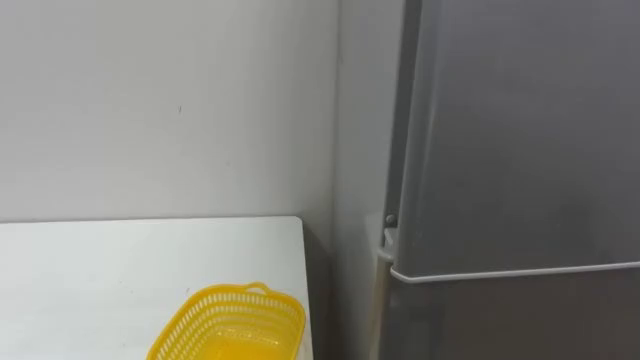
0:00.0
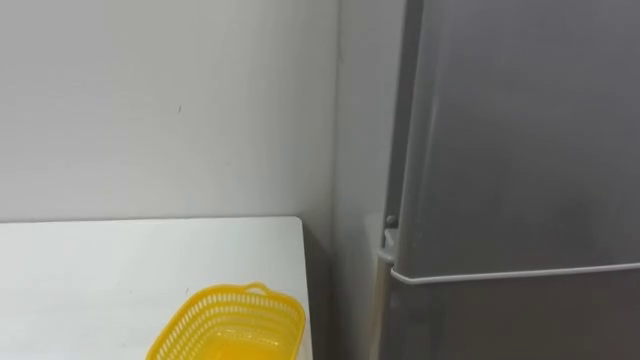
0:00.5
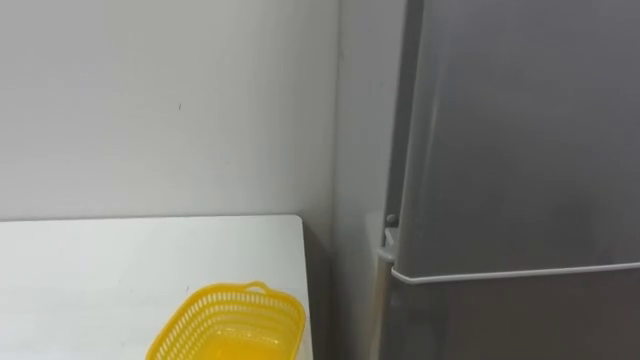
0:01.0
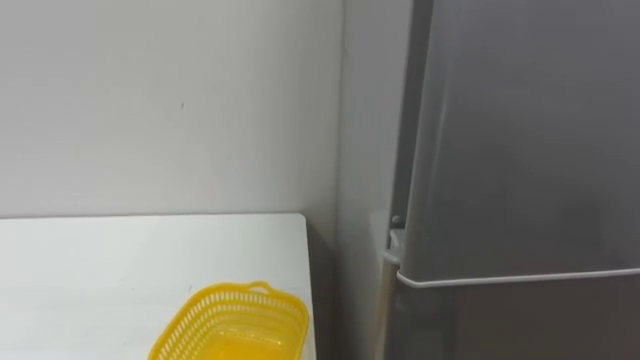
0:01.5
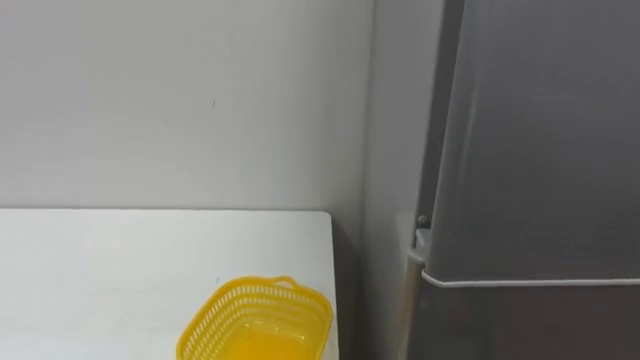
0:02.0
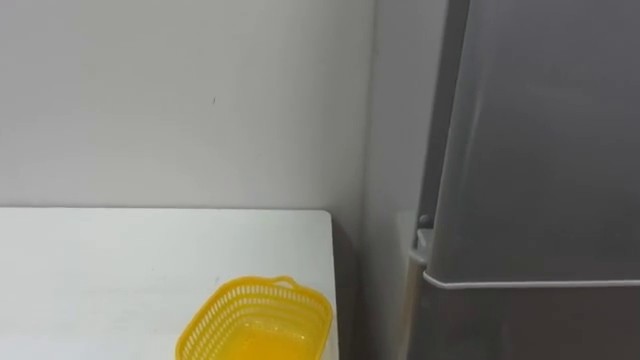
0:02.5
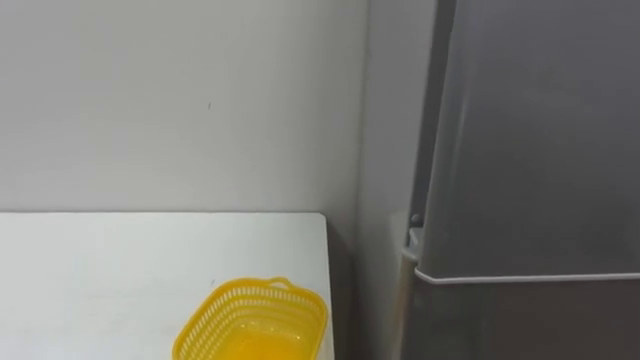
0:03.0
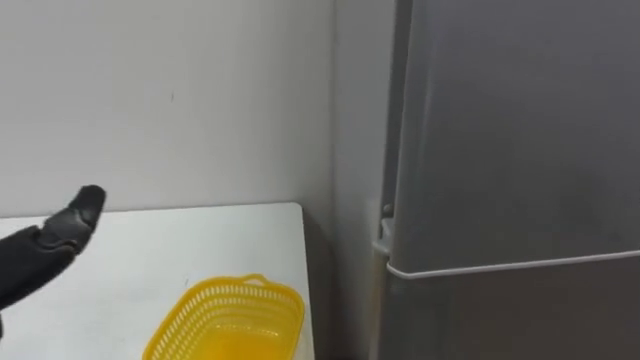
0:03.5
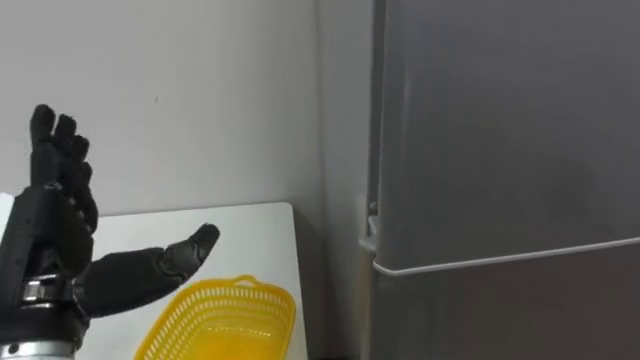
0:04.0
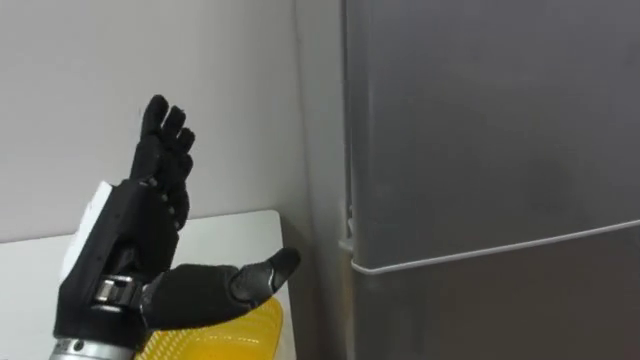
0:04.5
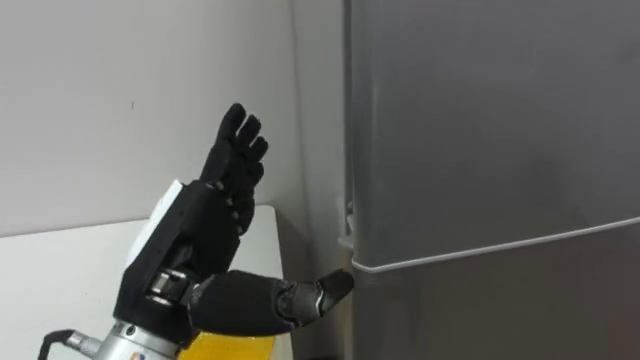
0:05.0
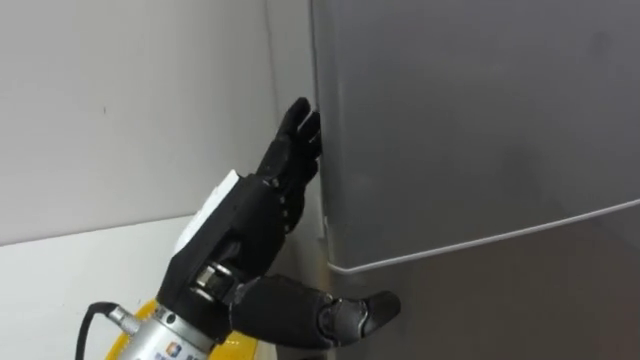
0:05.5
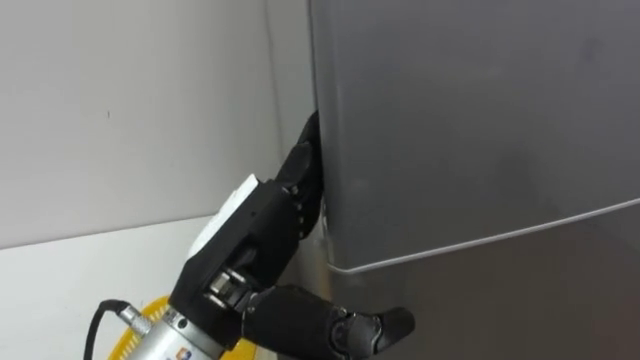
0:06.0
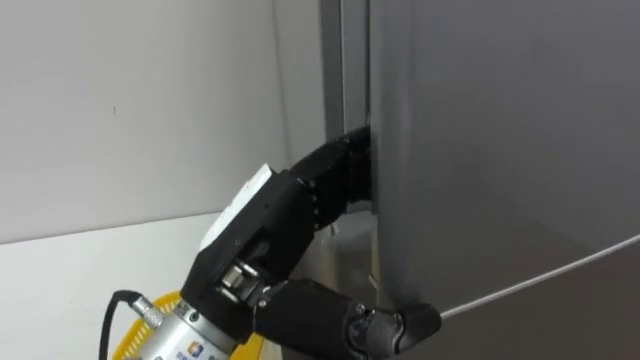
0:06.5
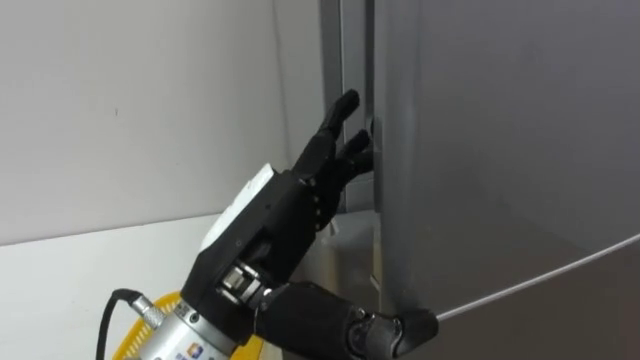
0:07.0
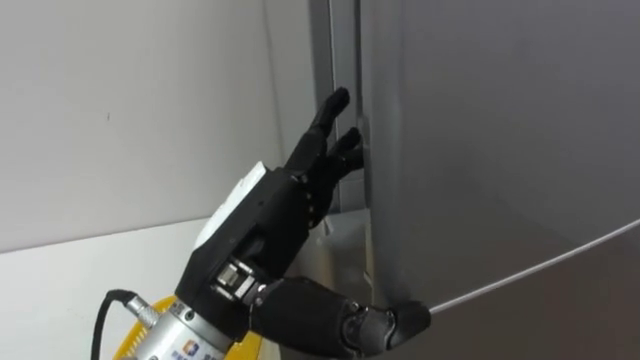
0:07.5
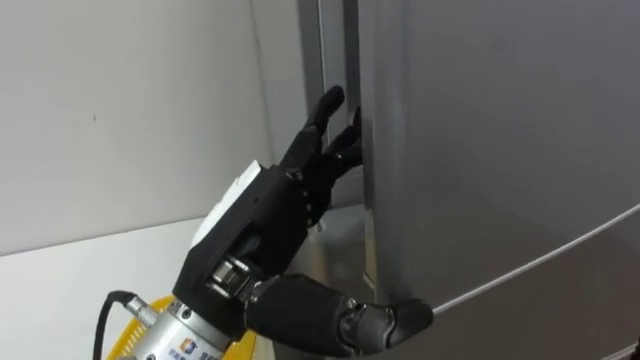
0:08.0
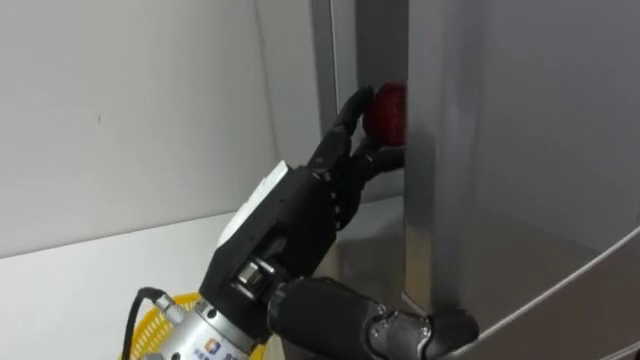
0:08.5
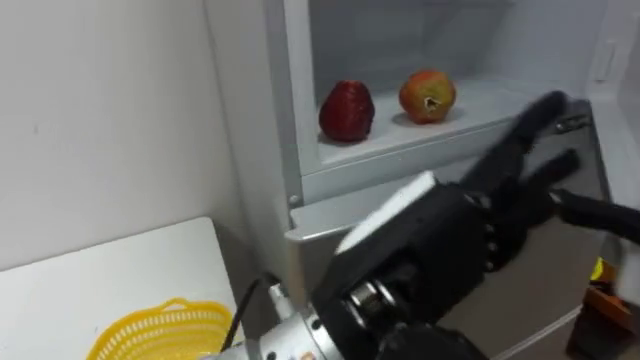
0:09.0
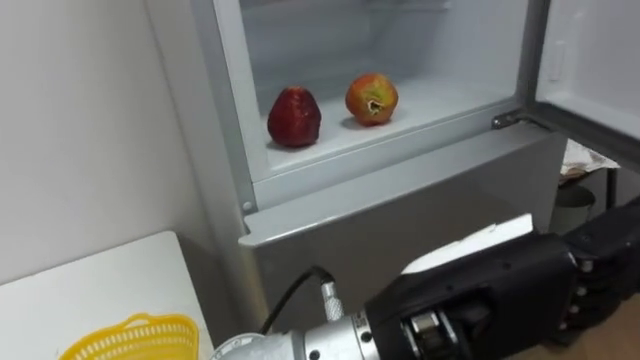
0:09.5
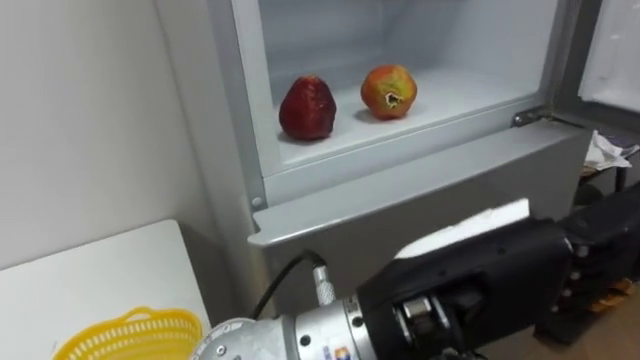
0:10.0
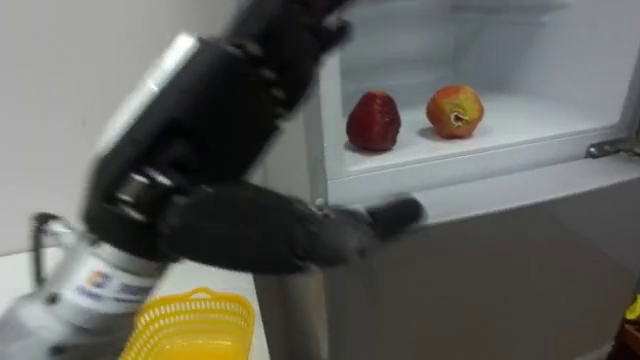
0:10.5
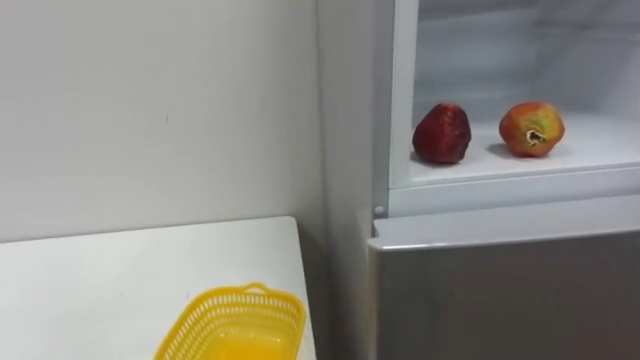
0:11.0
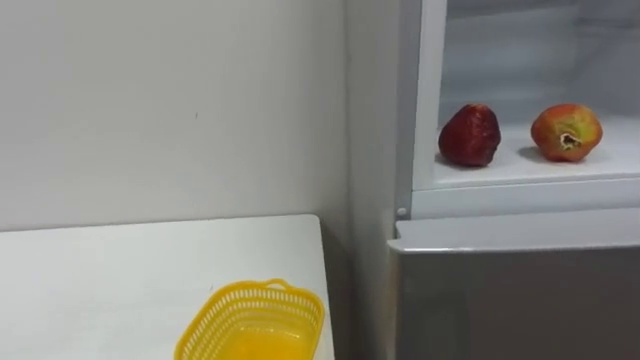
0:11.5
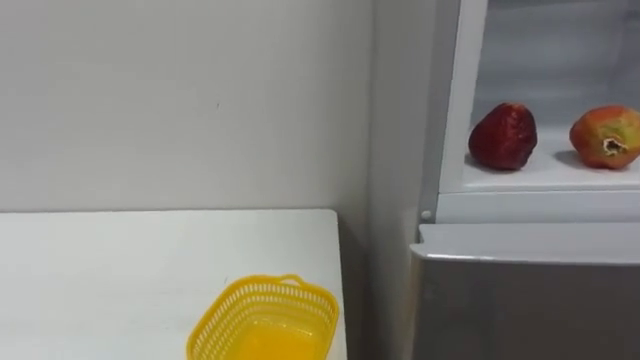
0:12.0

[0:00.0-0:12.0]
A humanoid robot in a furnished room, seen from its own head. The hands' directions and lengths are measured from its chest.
Task of the whole recording: Open the refrigerator door, take out the apple and the pomegranate, place them in the fruit basket on the left, and close the refrigerator door.
0:04.0 to 0:06.0: The left hand travels to the right by roughly 15 cm.
0:08.0 to 0:10.0: The left hand is displaced to the right and backward by some 15 cm.

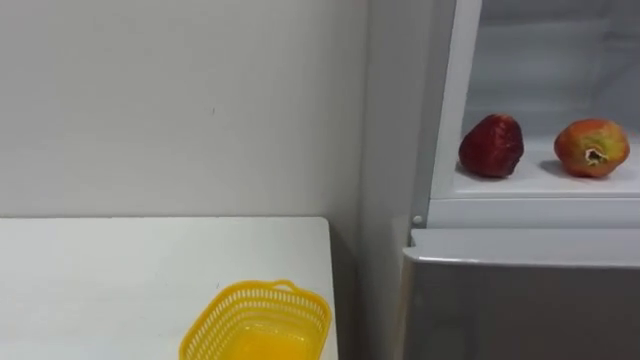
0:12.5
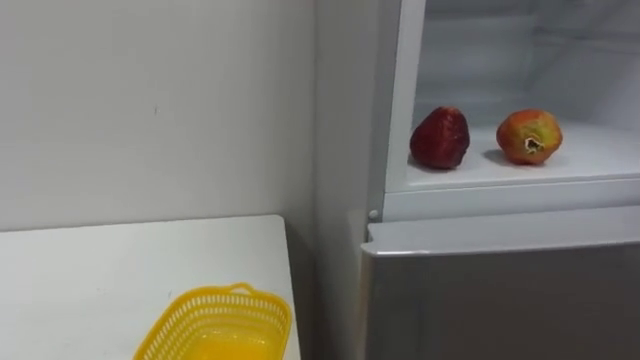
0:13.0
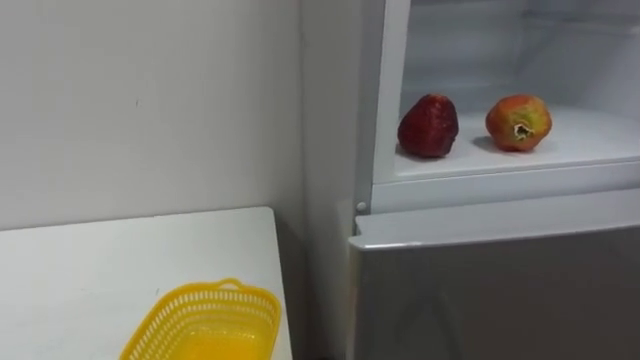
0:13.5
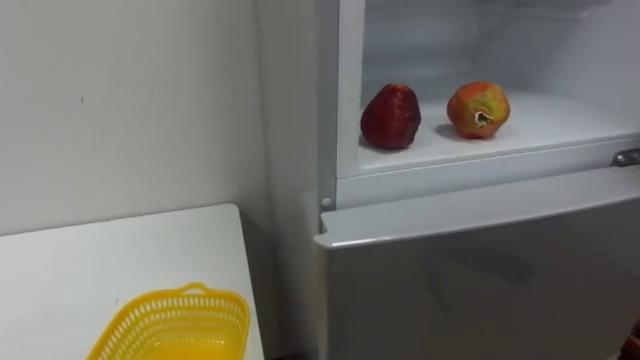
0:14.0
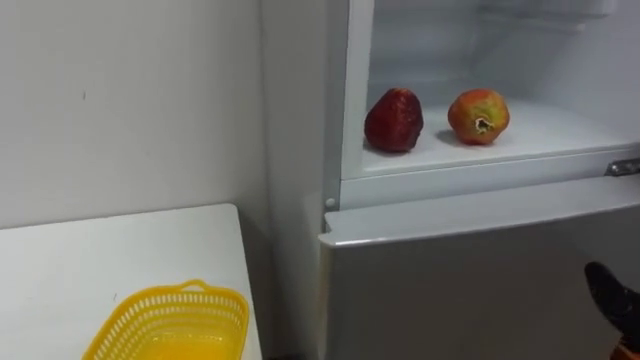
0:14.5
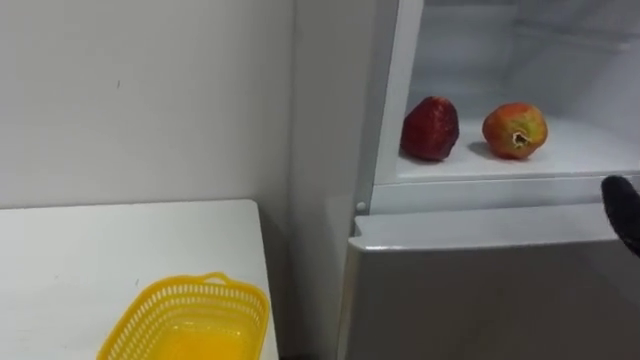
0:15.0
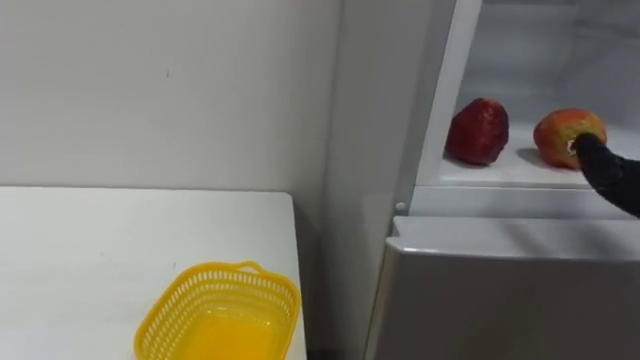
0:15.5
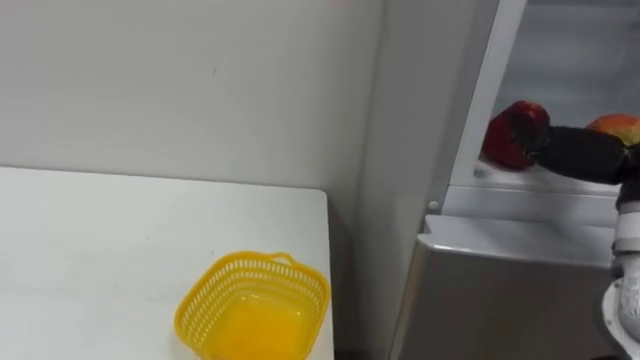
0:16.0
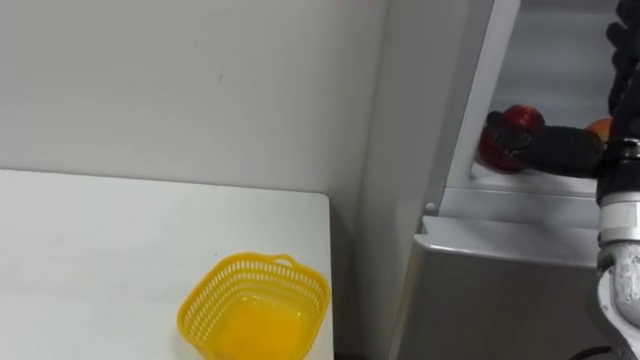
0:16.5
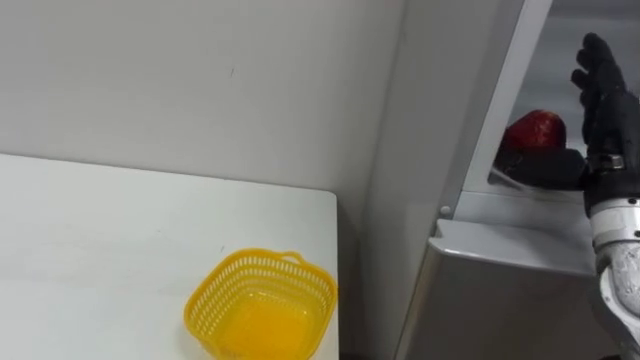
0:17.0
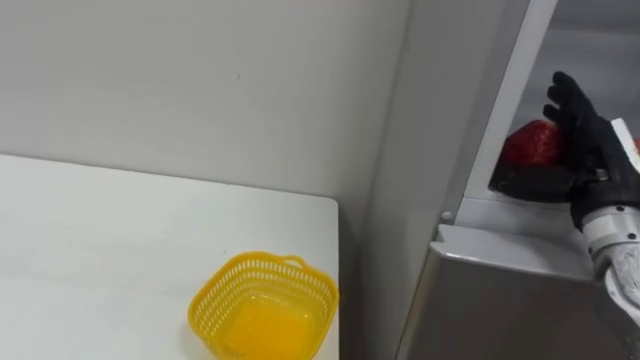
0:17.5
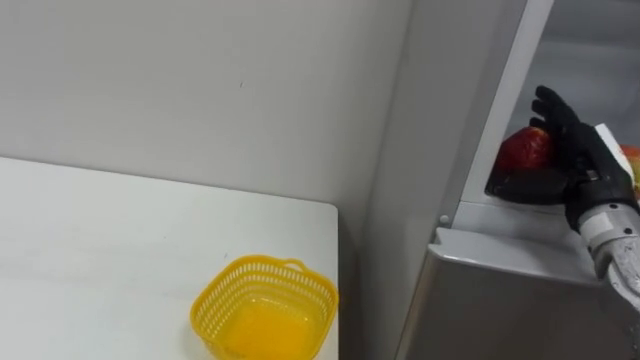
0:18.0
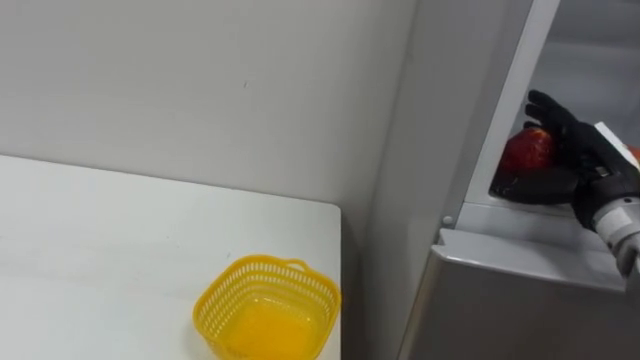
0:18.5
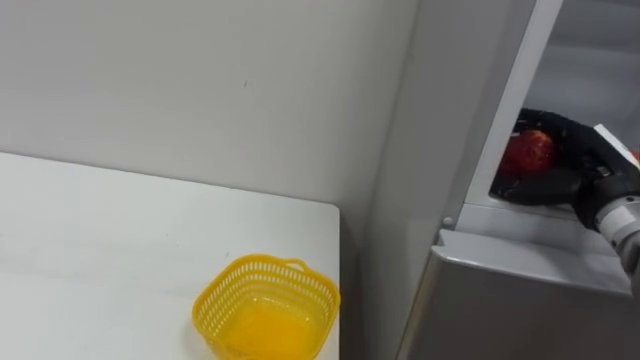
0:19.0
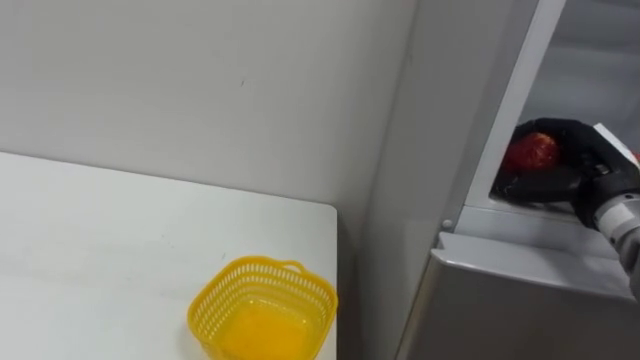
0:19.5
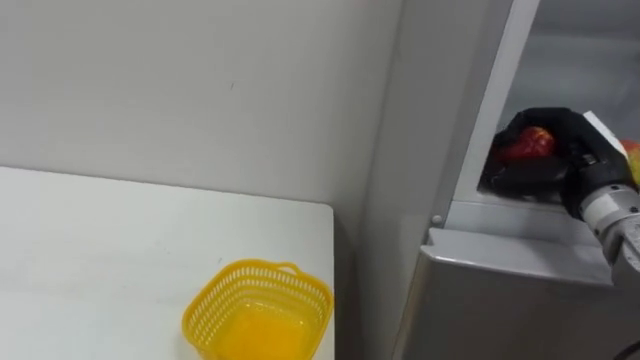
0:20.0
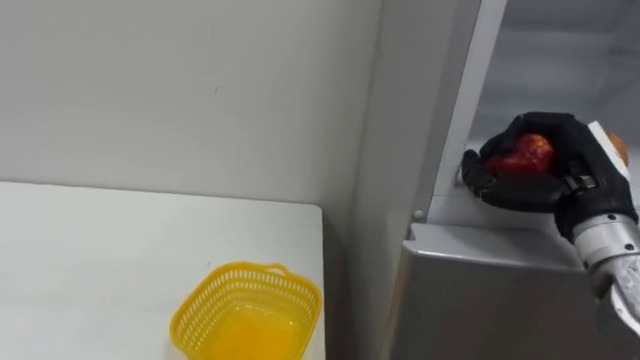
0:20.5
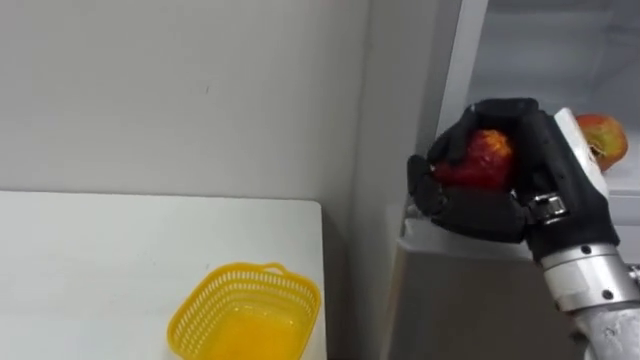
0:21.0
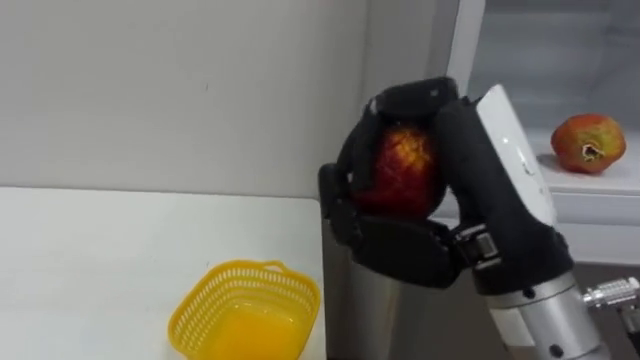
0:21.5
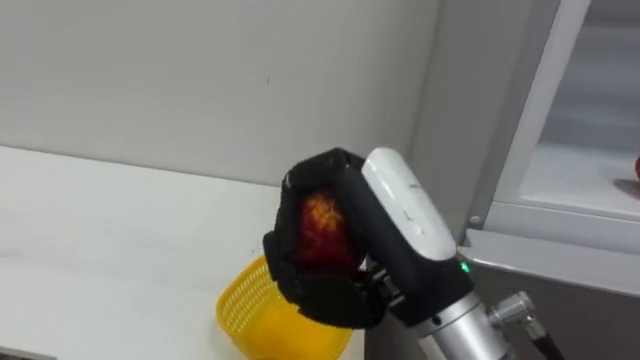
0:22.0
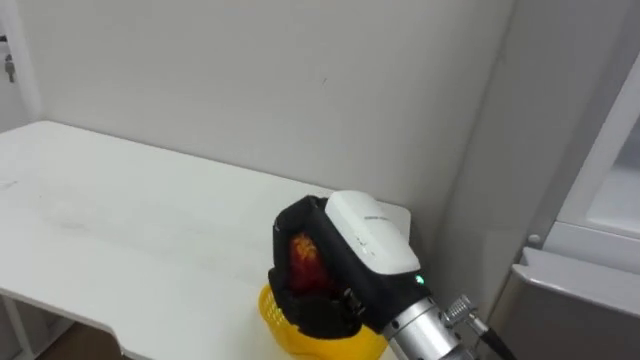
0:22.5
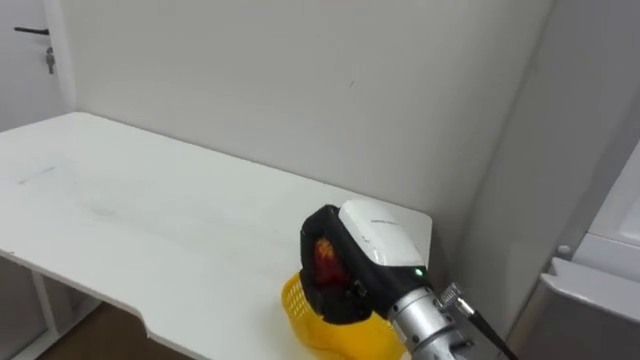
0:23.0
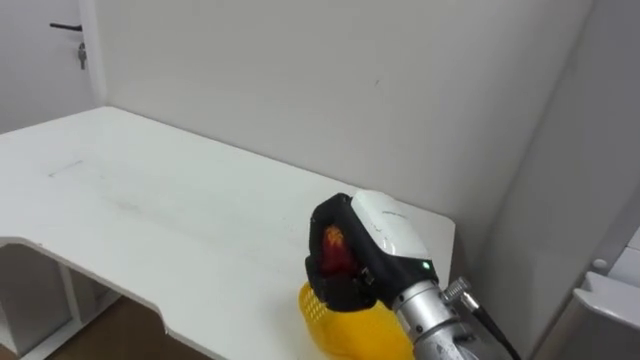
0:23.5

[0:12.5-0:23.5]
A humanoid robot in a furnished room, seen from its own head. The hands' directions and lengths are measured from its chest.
Task of the whole recording: Open the refrigerator door, take out the apple and the pomegranate, place them in the fruit basket on the left, and close the refrigerator door.
0:18.0 to 0:20.0: The right hand closes.
0:20.0 to 0:21.5: The right hand goes about 25 cm backward, to the left and upward.
0:21.5 to 0:23.5: The right hand travels downward and forward by about 15 cm.
